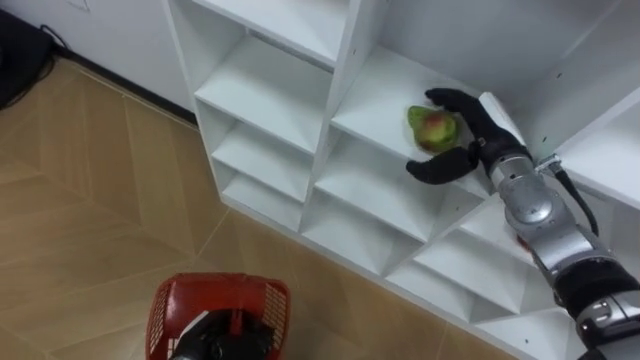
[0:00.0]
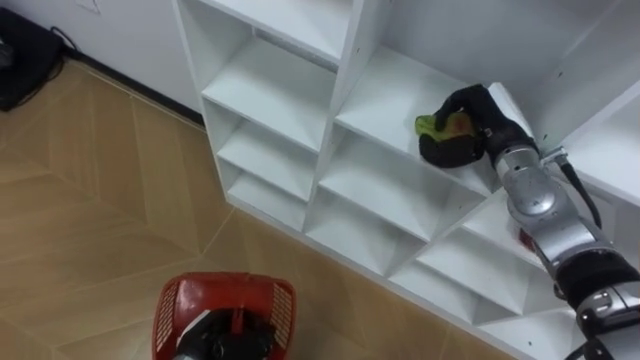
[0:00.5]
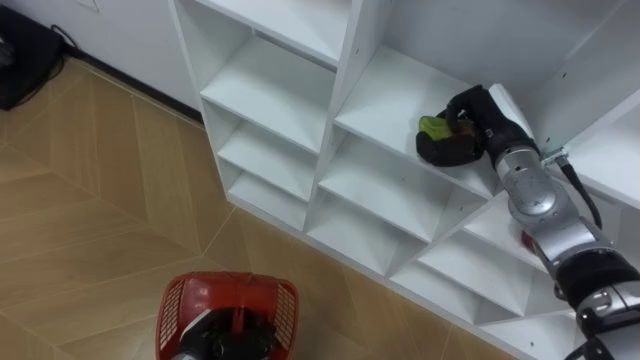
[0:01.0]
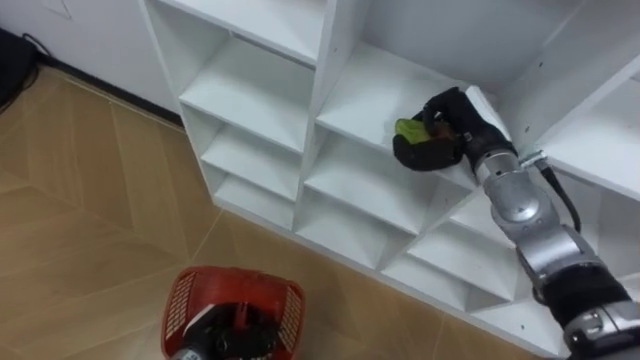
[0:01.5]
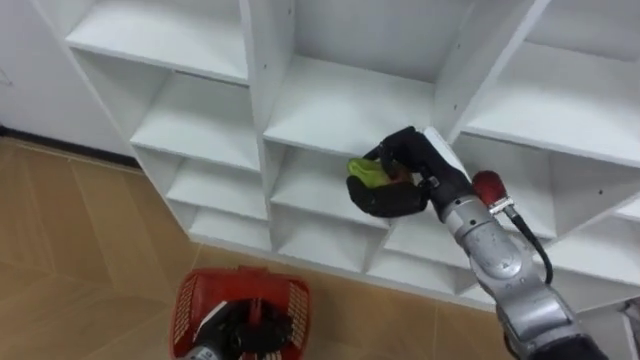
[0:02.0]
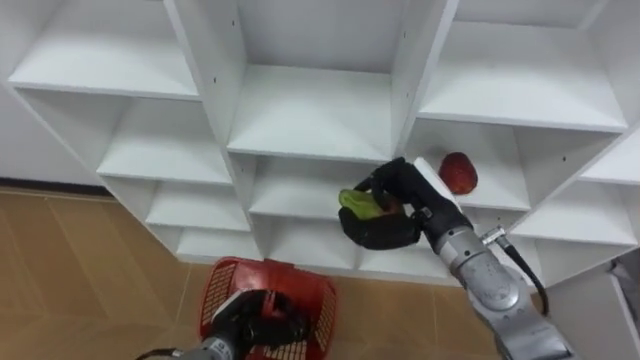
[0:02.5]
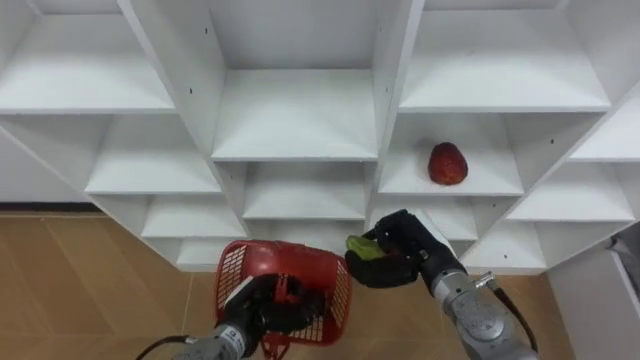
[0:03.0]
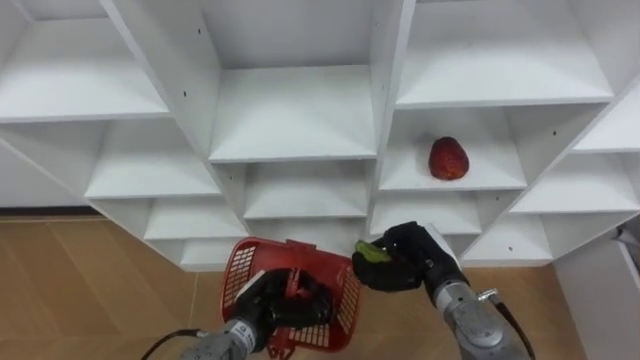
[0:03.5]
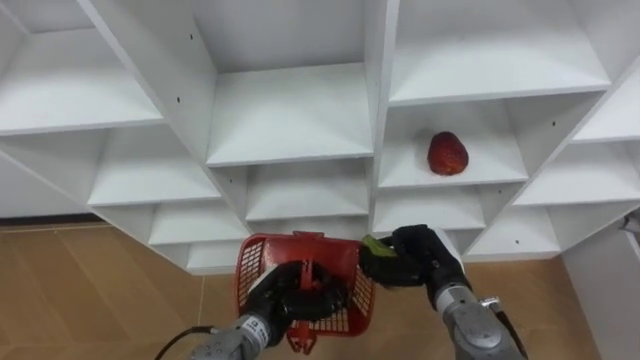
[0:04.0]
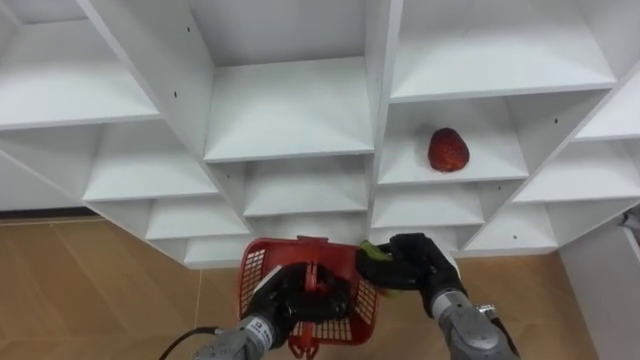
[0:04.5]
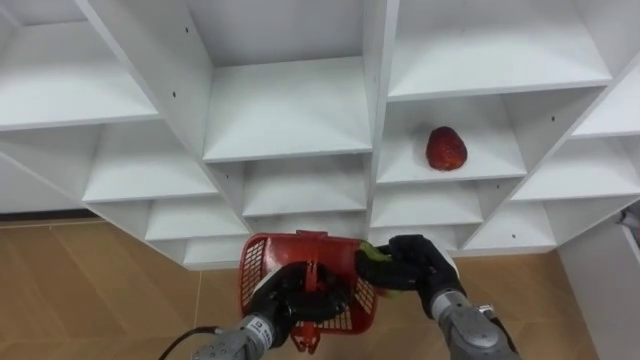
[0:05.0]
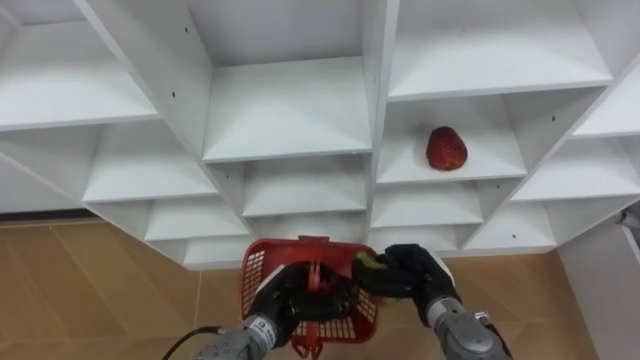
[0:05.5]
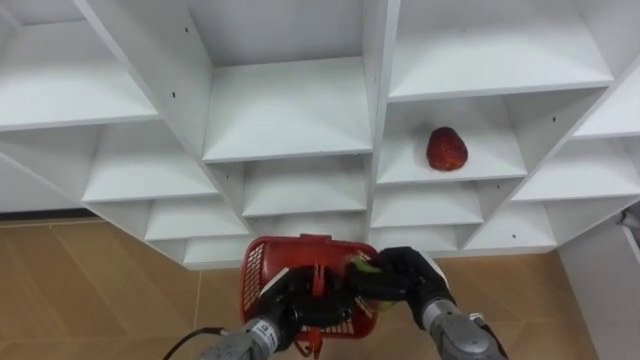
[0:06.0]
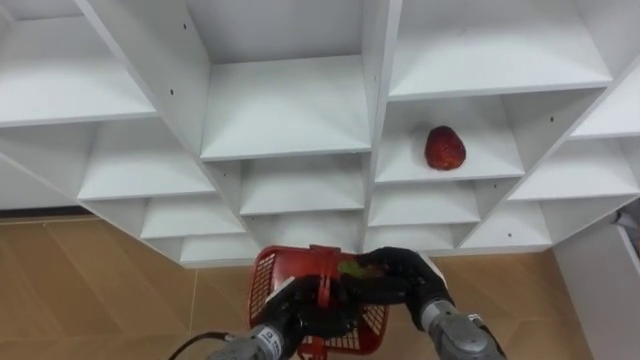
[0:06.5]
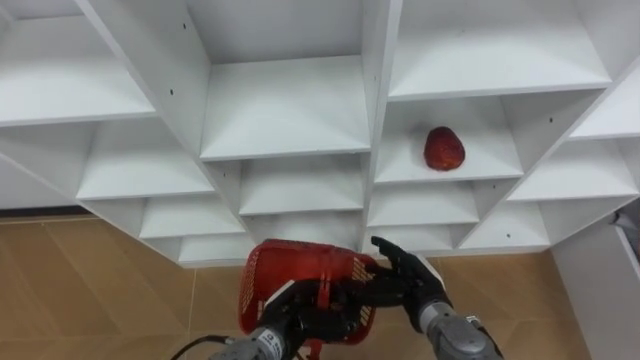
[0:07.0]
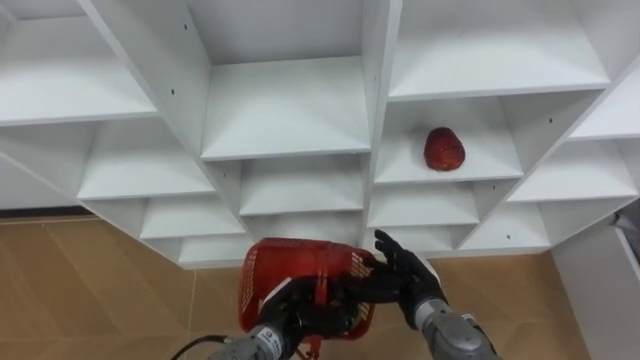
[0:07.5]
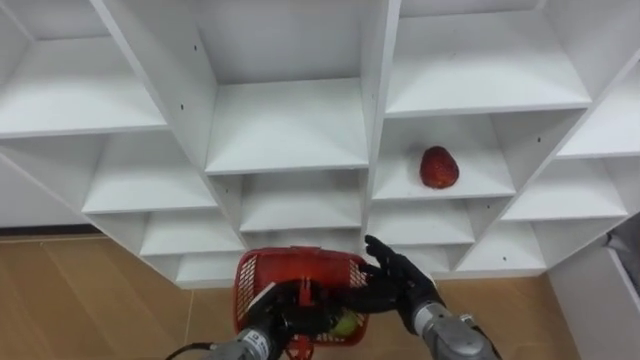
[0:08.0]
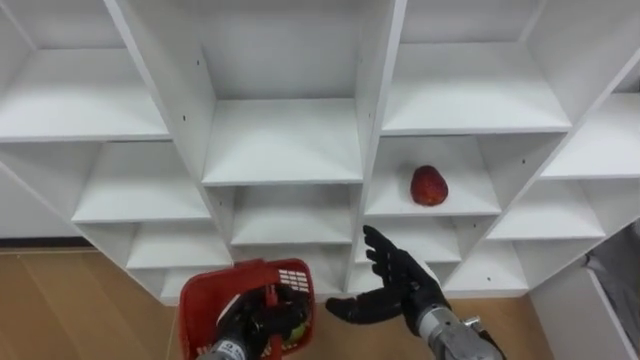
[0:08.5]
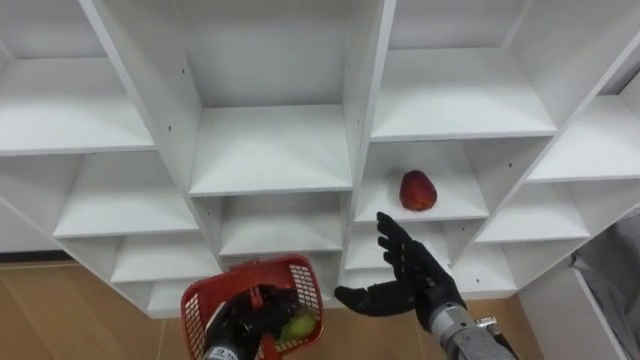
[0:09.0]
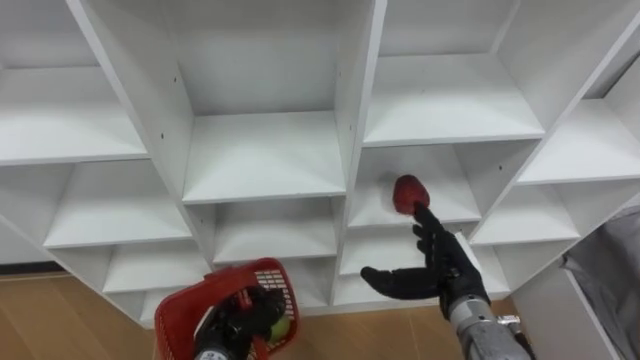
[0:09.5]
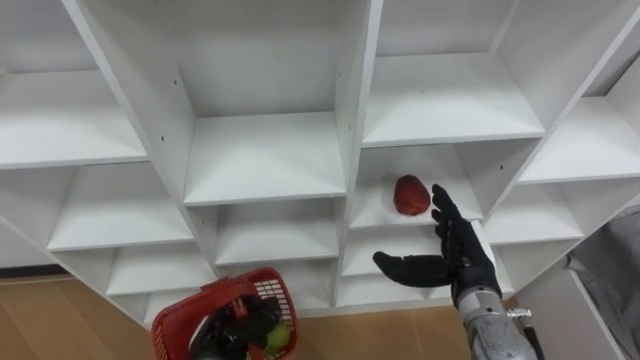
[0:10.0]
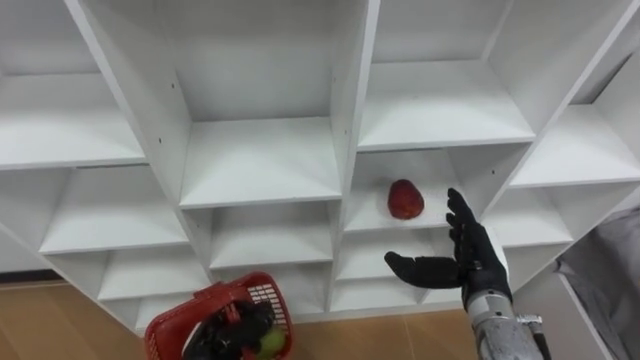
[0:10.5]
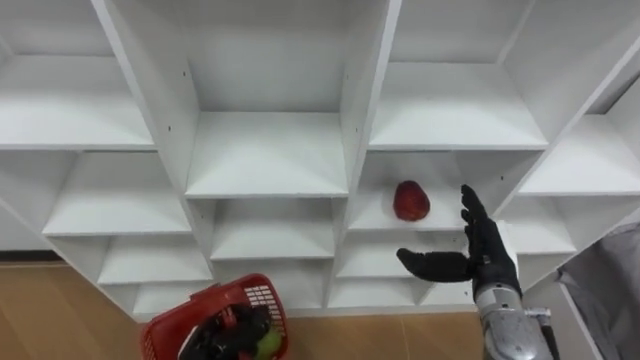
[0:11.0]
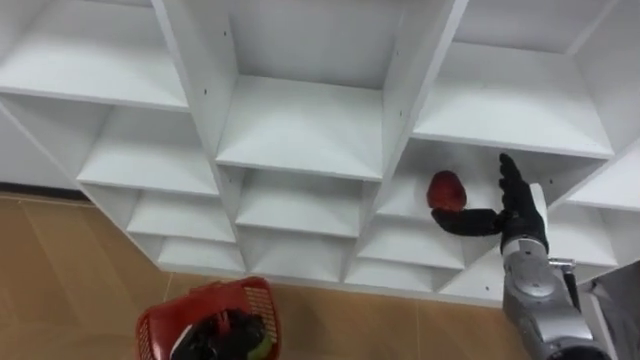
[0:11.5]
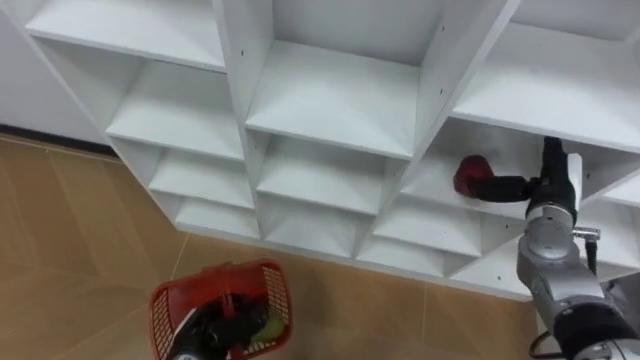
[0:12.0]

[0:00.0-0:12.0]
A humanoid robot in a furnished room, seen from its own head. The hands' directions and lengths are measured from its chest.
Task of the whole recording: Hold the basket and collect the fruits from 3 different cells of the closet into it.
0:00.0 to 0:02.0: The right hand shifts approximately 10 cm to the left and backward, and closes.
0:02.0 to 0:04.0: The right hand goes some 15 cm downward and backward, while the left hand moves to the right, about 5 cm.
0:04.0 to 0:06.0: The hands stay close to where they were, moving slightly.
0:06.0 to 0:08.0: The right hand opens up.
0:08.0 to 0:10.0: The right hand travels upward and to the right by some 10 cm, while the left hand is displaced to the left by some 10 cm.
0:10.0 to 0:12.0: The right hand heads to the right and forward, covering roughly 15 cm.

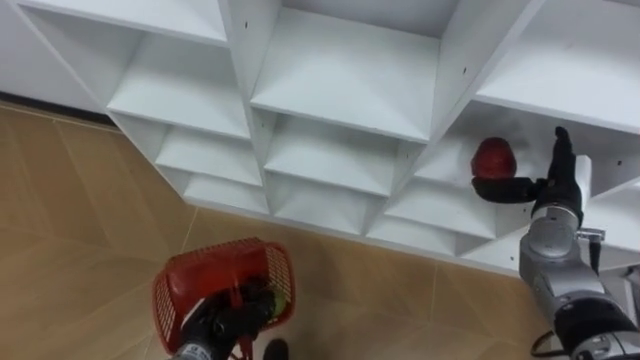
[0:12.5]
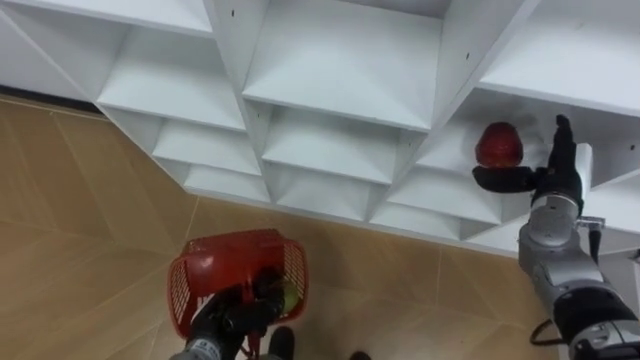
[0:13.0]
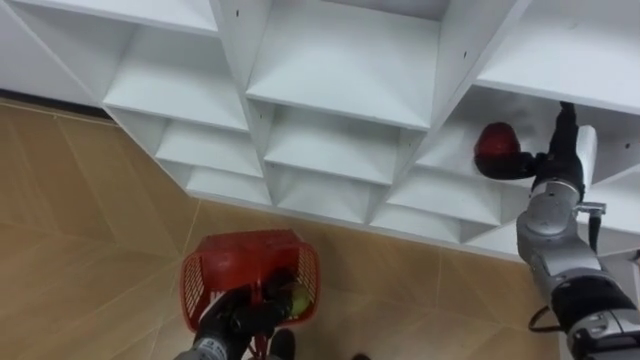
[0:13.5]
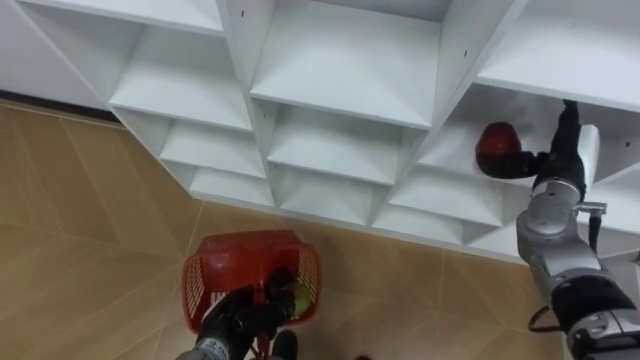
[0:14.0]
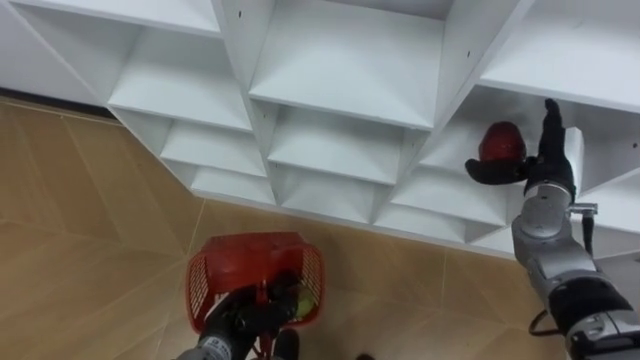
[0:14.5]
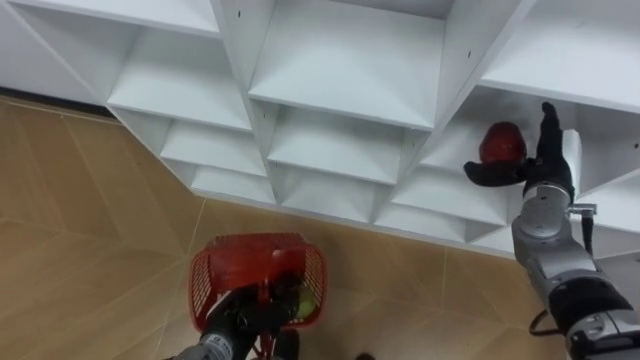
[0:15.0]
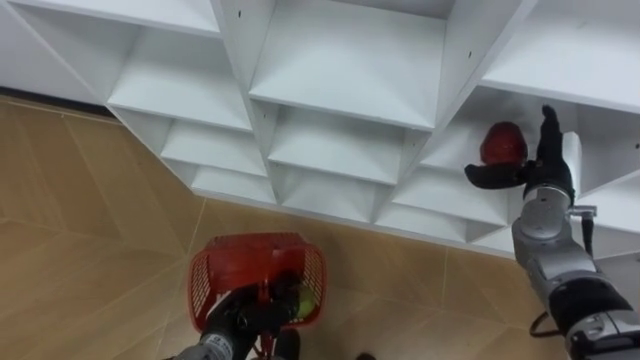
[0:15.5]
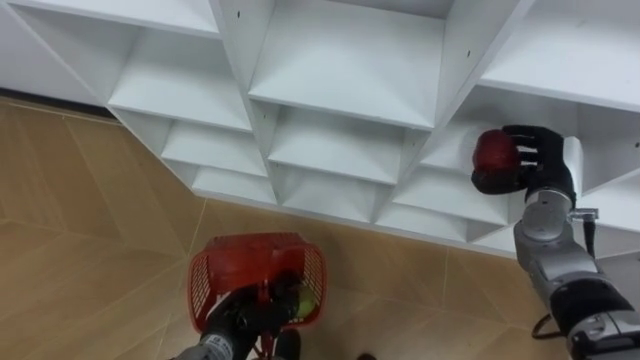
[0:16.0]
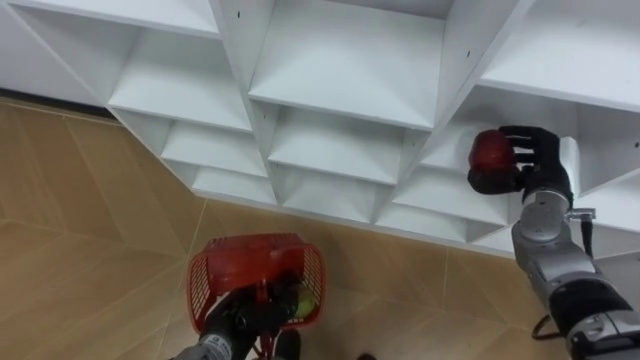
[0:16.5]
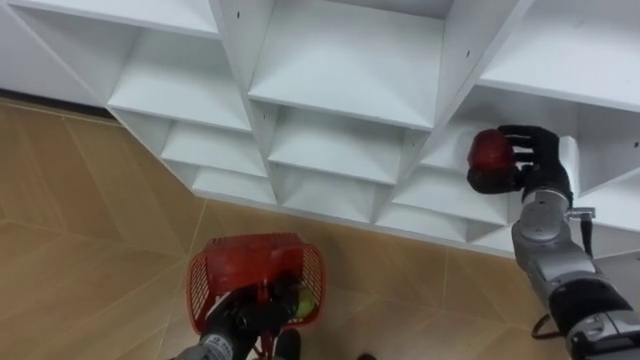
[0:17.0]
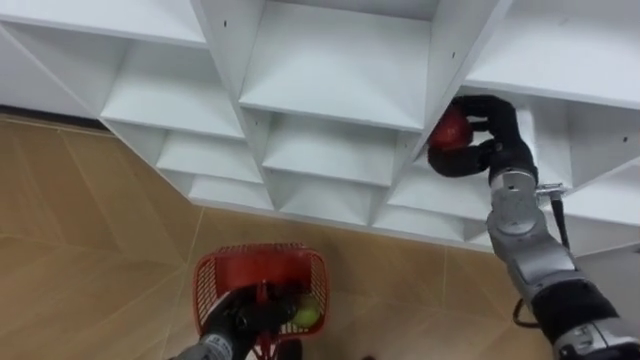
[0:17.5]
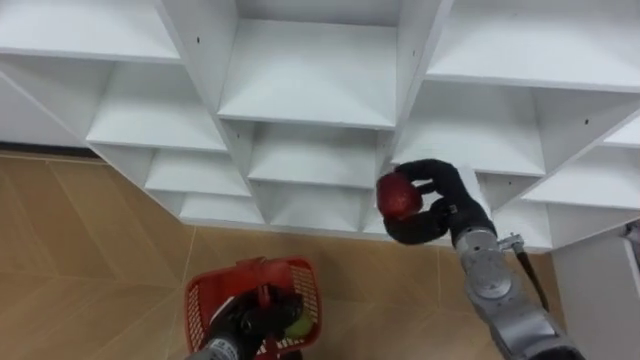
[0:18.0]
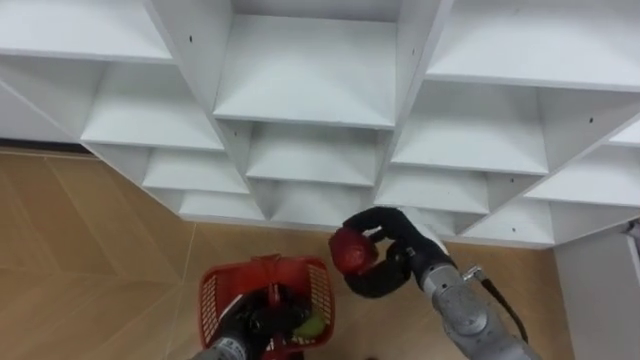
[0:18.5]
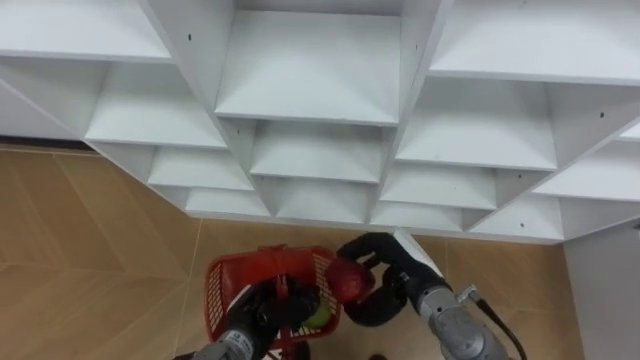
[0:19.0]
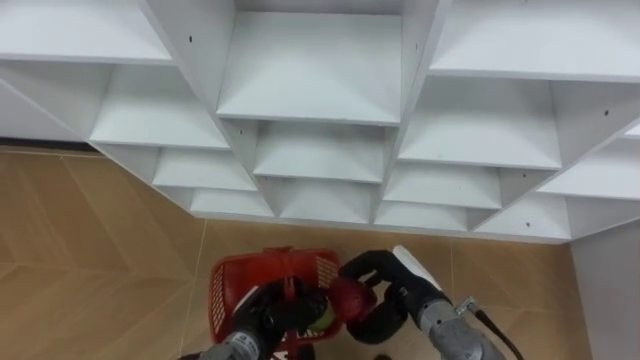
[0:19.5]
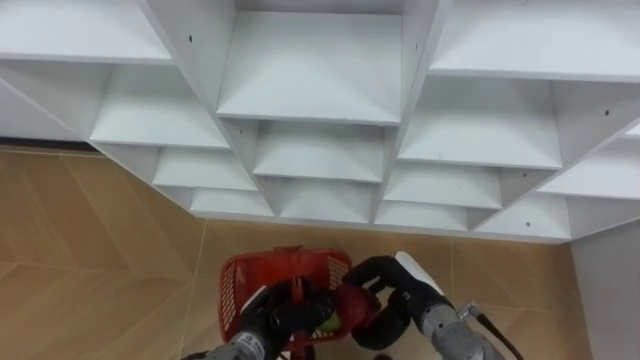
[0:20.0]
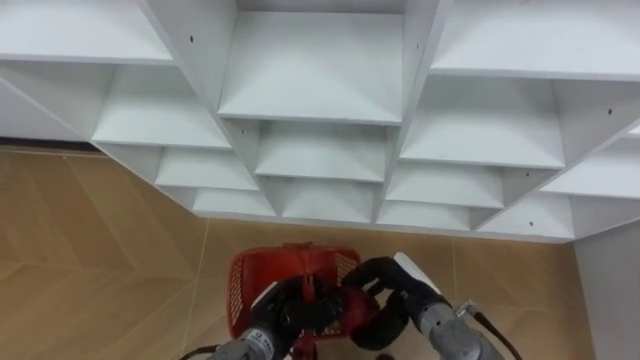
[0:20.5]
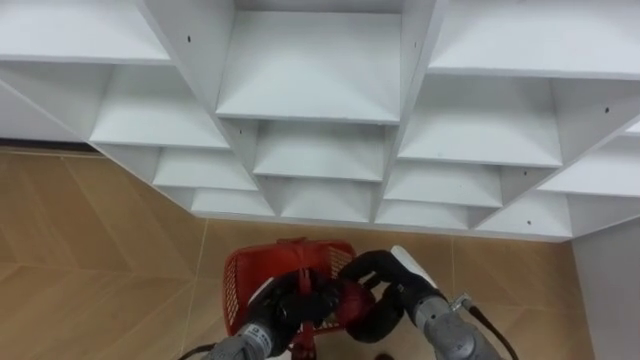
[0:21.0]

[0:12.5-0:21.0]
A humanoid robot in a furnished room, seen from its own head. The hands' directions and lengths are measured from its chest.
Task of the whole recording: Hold the basket and collect the fruits from 3 different cells of the closet into it.
0:14.5 to 0:16.5: The right hand closes its fingers.
0:16.5 to 0:19.0: The right hand is displaced to the left, backward and downward by about 20 cm.
0:19.0 to 0:21.0: The hands stay close to where they were, moving slightly.
